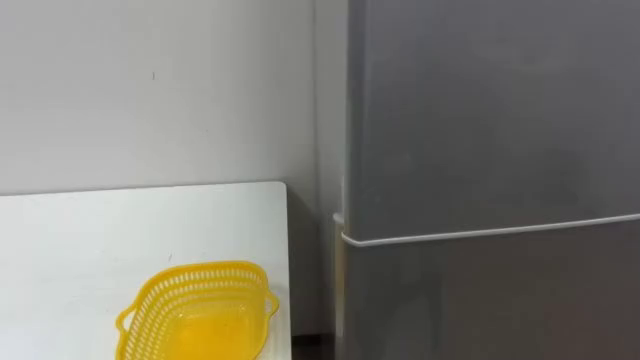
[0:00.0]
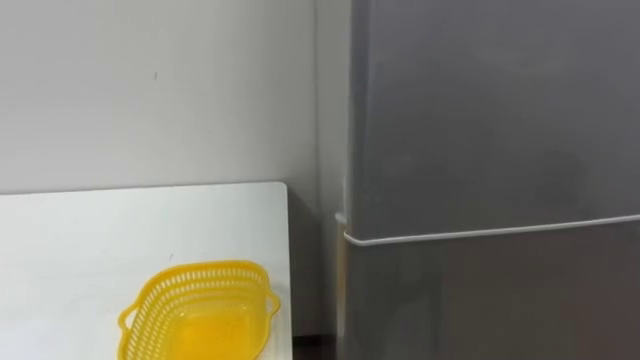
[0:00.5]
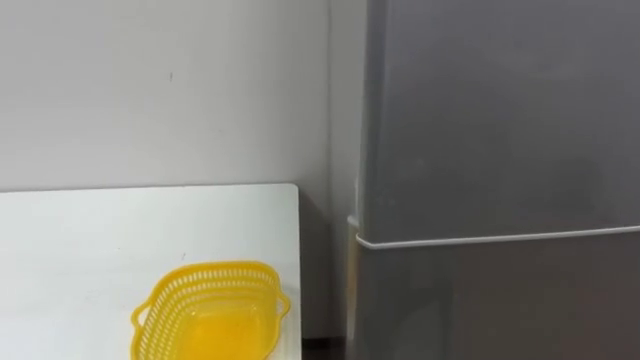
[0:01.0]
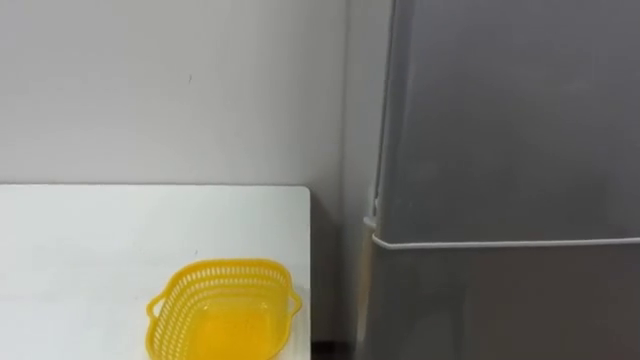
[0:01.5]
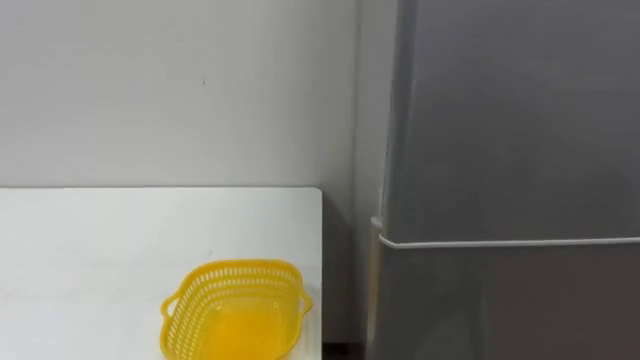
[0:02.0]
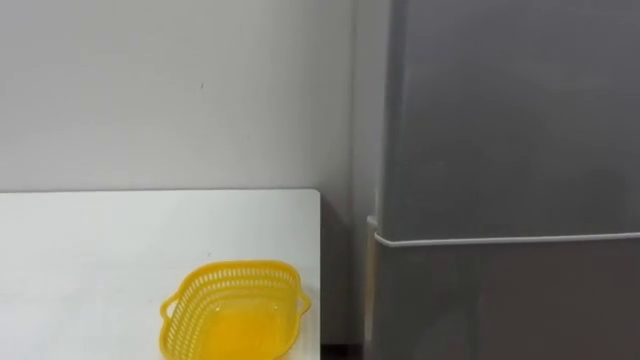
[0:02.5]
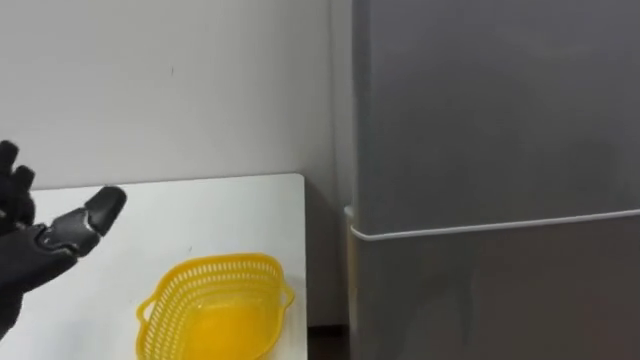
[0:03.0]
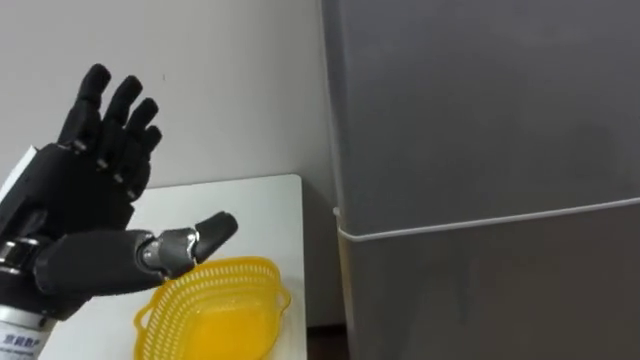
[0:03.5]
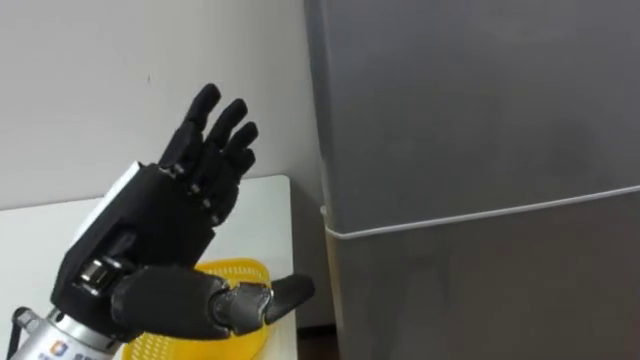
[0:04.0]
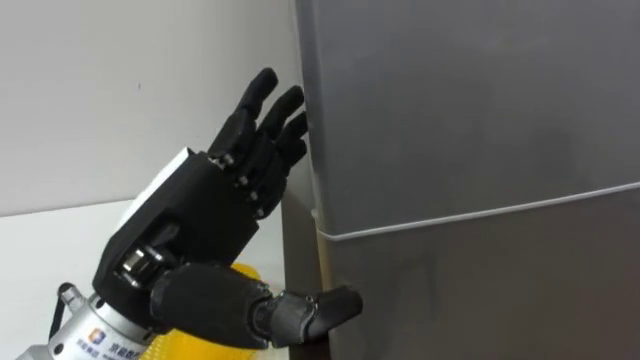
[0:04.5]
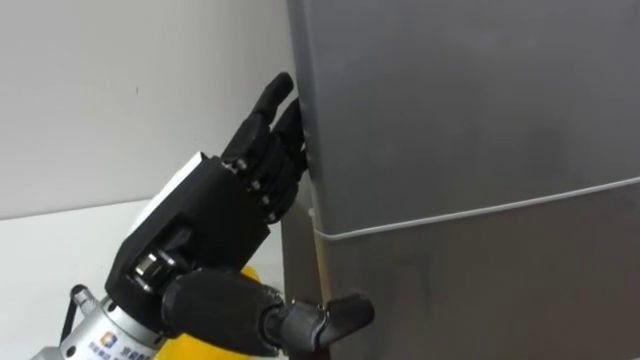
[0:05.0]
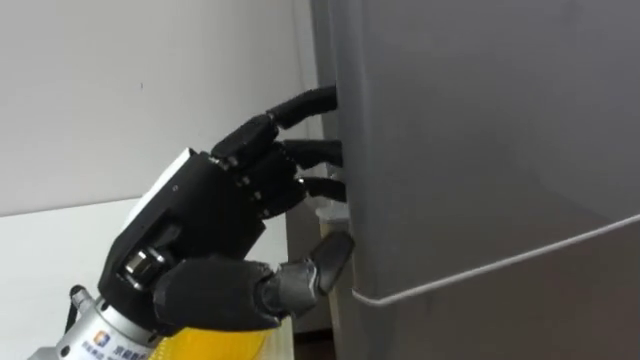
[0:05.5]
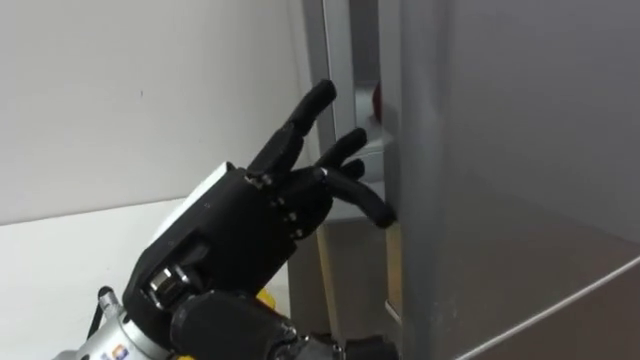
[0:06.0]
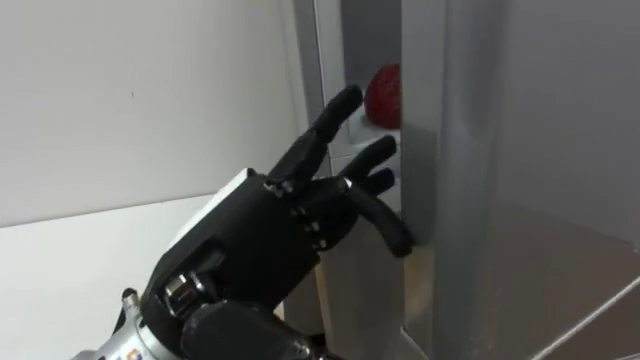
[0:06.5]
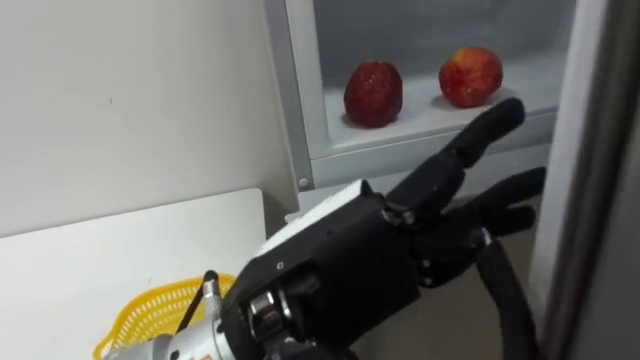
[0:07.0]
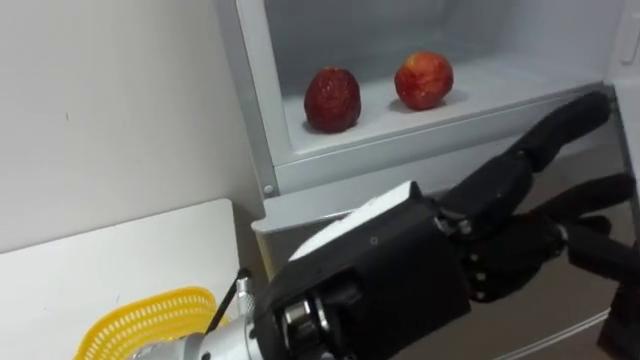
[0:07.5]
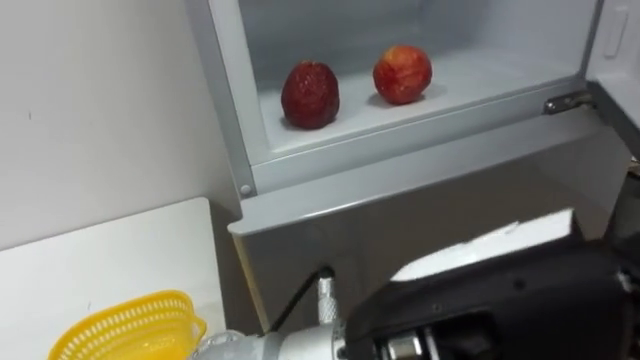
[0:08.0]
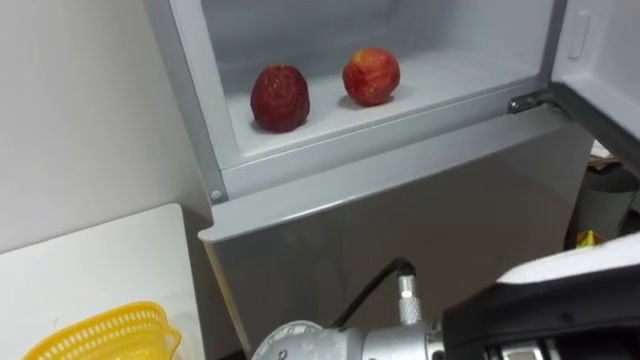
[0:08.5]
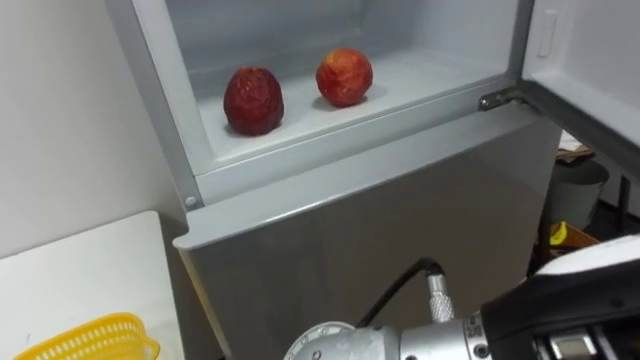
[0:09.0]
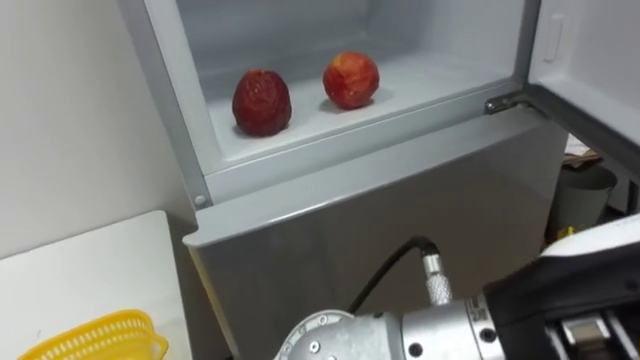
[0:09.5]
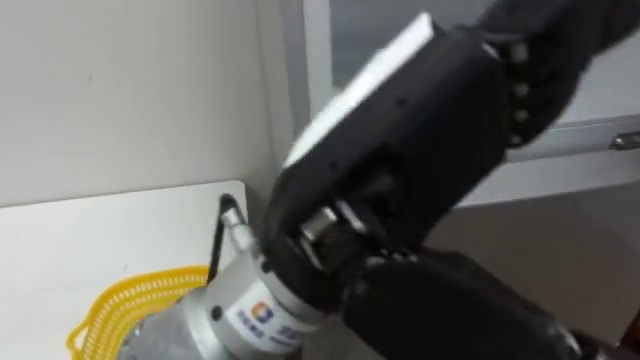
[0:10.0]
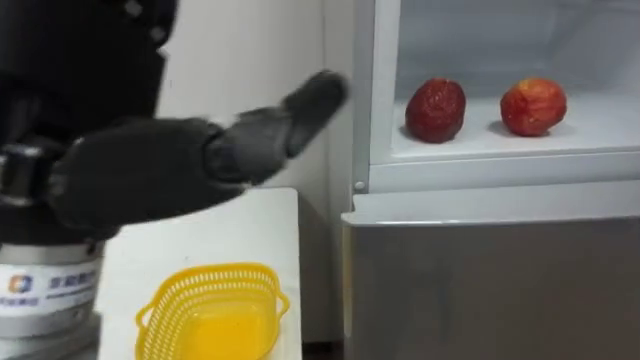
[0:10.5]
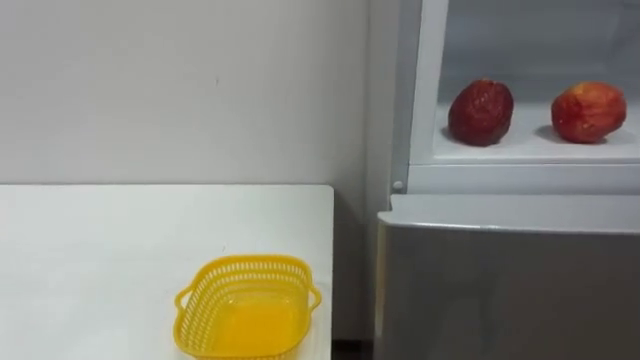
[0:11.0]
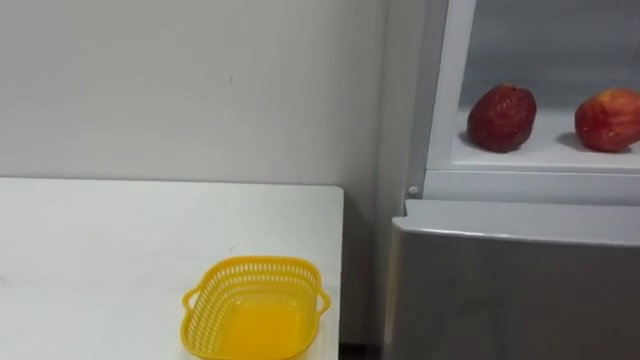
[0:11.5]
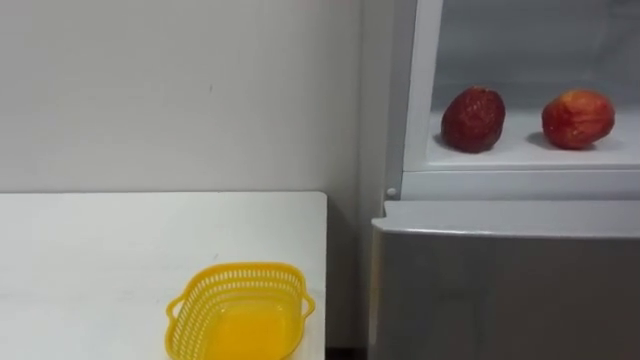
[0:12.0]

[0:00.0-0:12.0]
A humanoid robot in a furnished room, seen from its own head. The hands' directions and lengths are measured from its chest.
Task of the whole recording: Open the refrigerator door, take out the apple and the pomegranate, place them in the fruit basket on the left, and close the refrigerator door.
0:04.0 to 0:06.0: The left hand travels to the right by some 5 cm.
0:06.0 to 0:08.0: The left hand goes roughly 15 cm to the right and backward.
0:08.0 to 0:10.0: The left hand moves upward, approximately 5 cm.

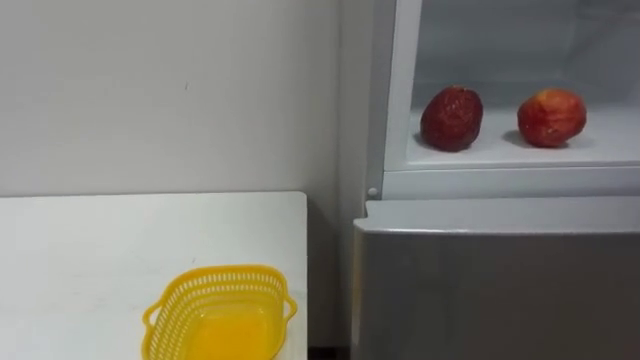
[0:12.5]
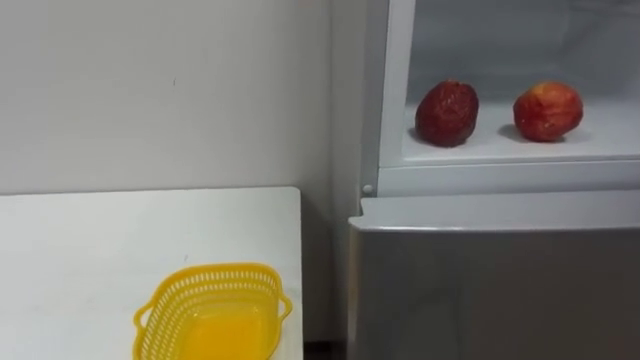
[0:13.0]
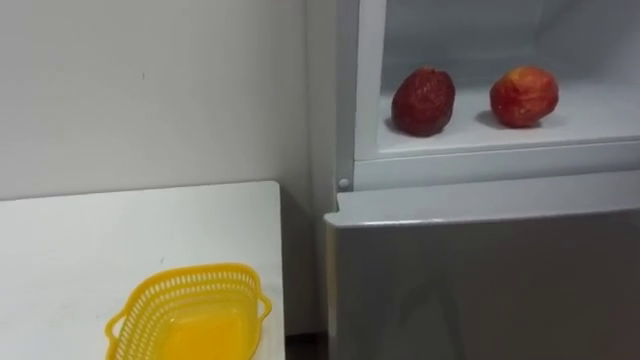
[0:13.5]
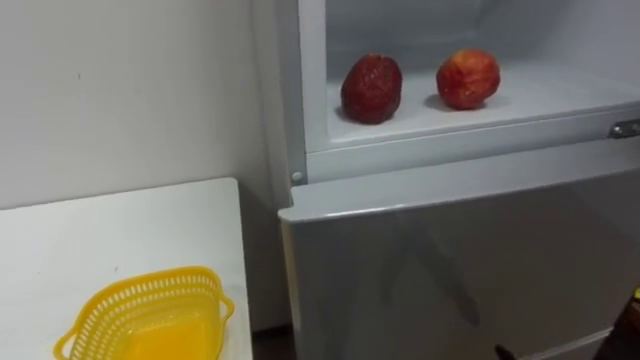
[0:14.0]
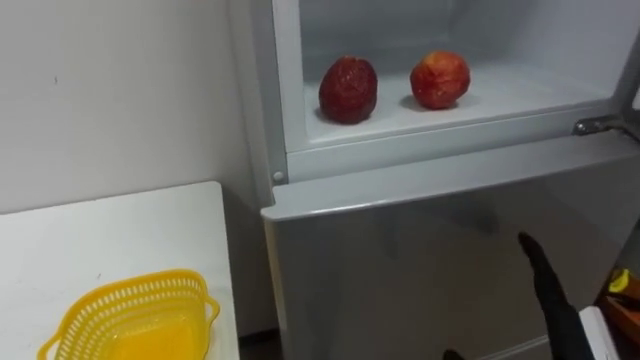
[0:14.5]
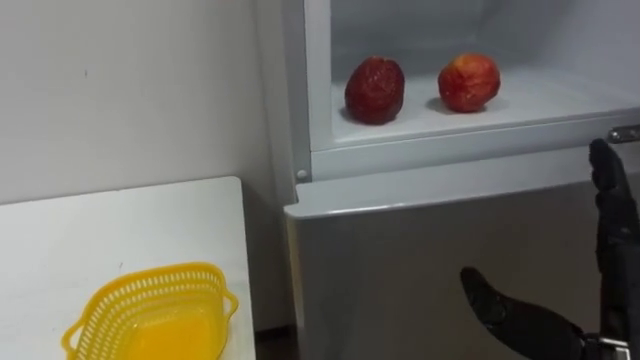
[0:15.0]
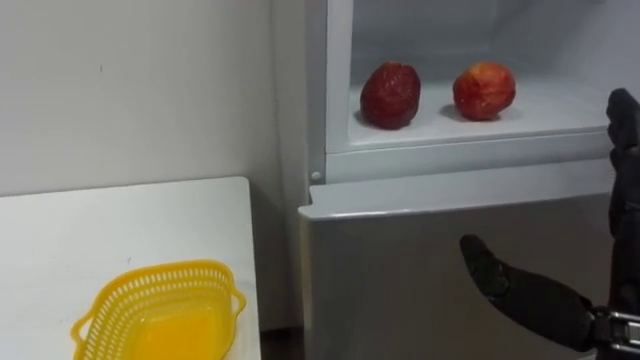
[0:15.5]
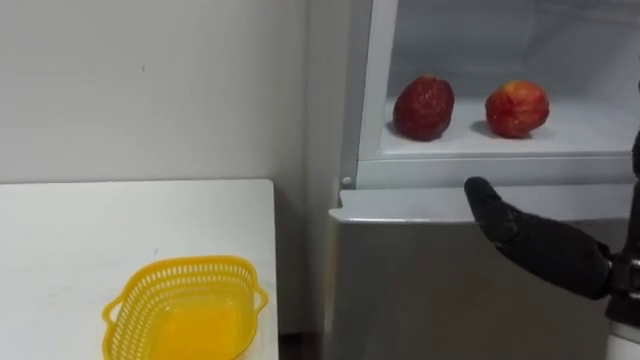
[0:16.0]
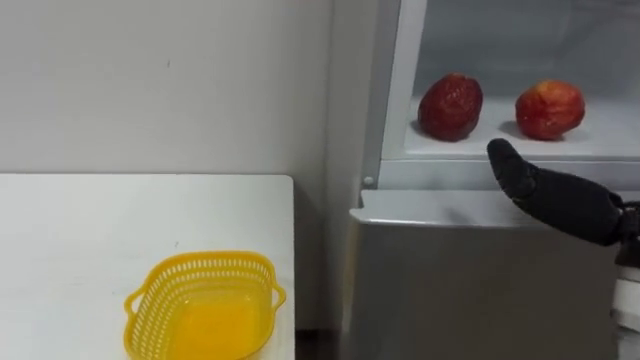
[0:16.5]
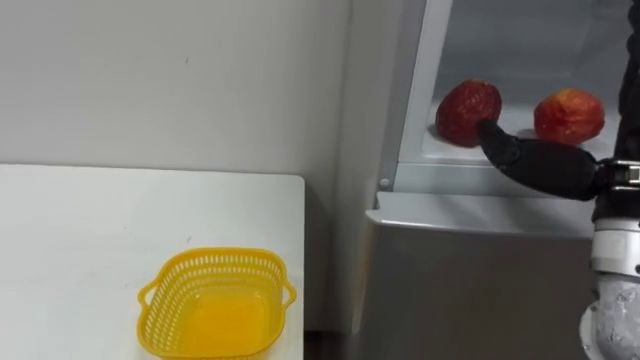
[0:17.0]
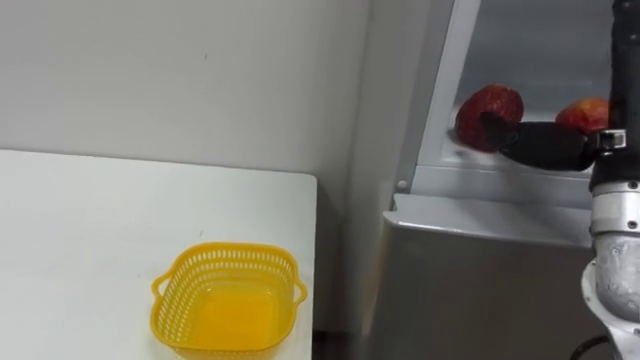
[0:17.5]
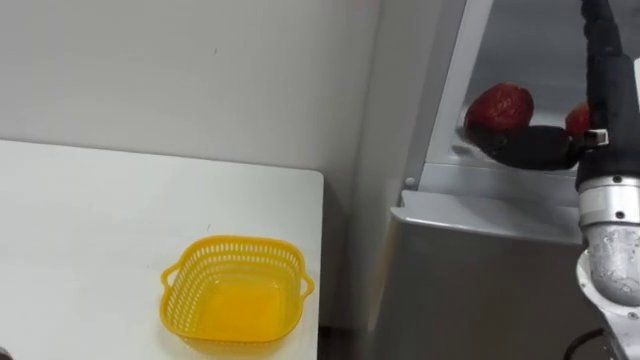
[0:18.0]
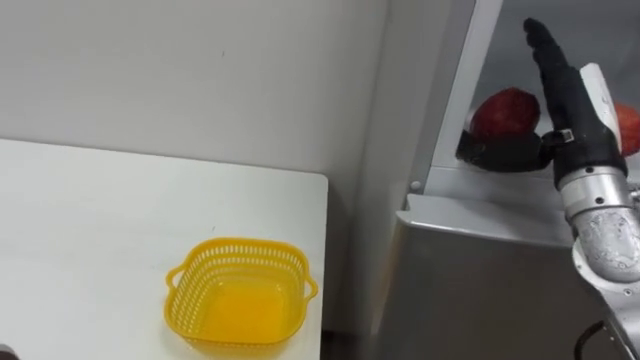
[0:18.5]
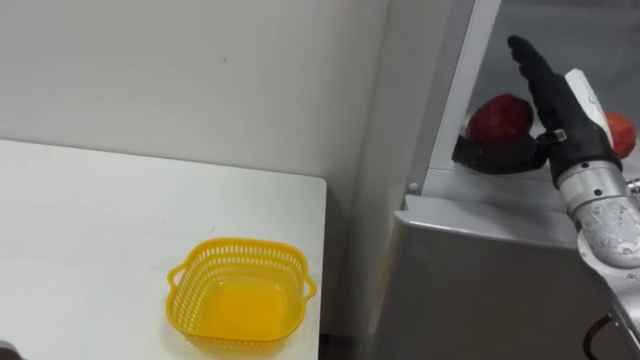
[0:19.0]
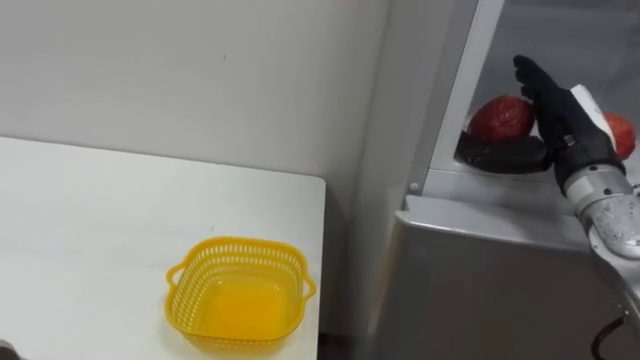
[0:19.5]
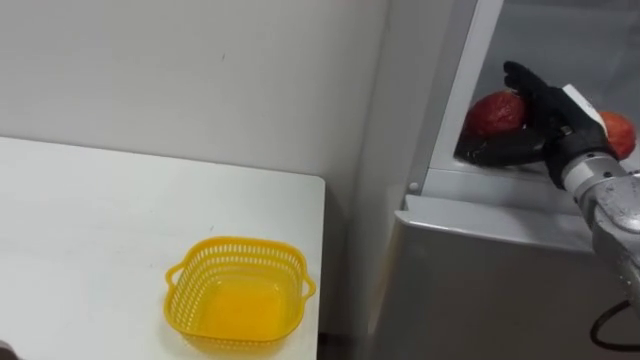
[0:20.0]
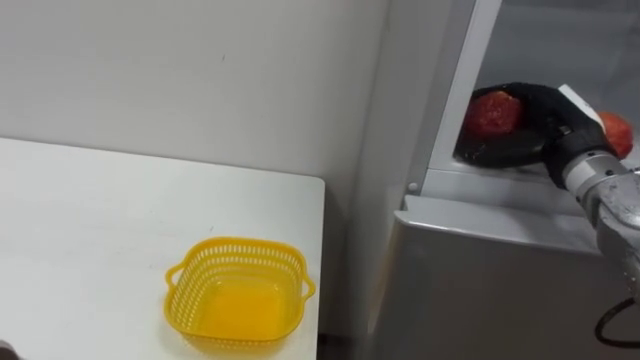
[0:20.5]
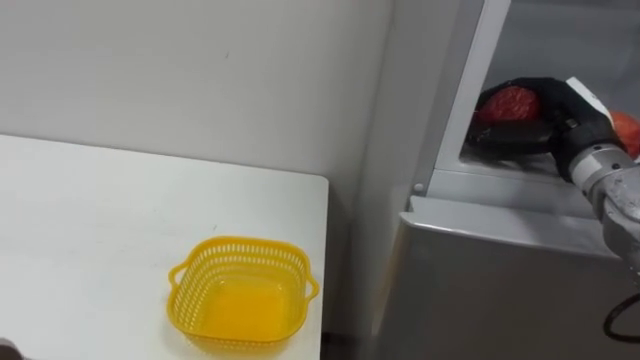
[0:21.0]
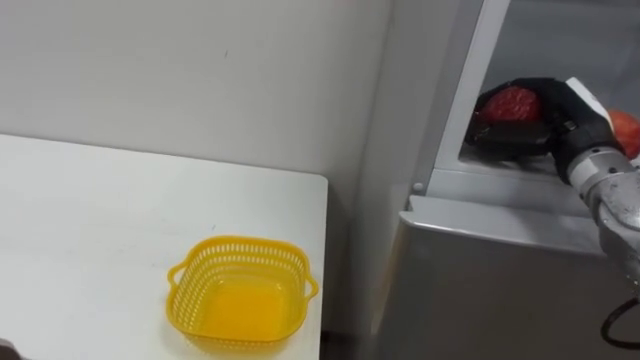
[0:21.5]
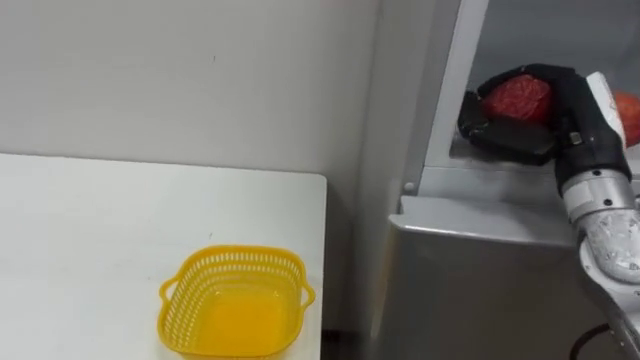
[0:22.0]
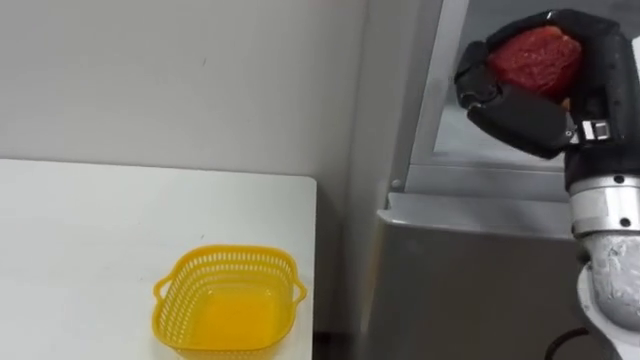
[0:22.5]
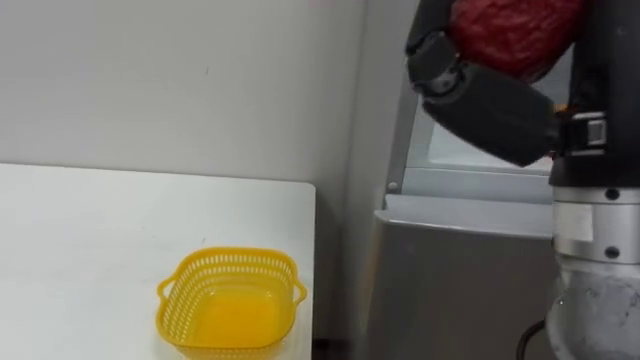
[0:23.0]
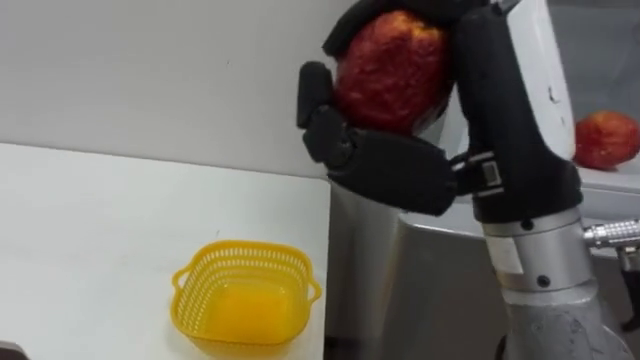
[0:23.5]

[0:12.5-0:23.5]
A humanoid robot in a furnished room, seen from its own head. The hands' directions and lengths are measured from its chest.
Task of the whole recording: Open the refrigerator door, take out the apple and the pomegranate, place them in the fruit basket on the left, and close the refrigerator door.
0:18.0 to 0:20.0: The right hand travels forward by roughly 10 cm.
0:20.0 to 0:21.5: The right hand closes up.
0:21.5 to 0:23.5: The right hand moves backward, to the left and upward, roughly 25 cm.
